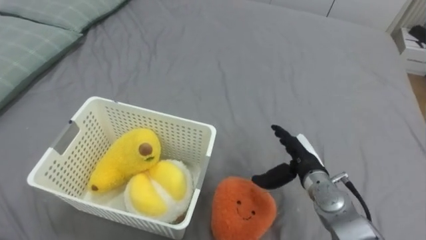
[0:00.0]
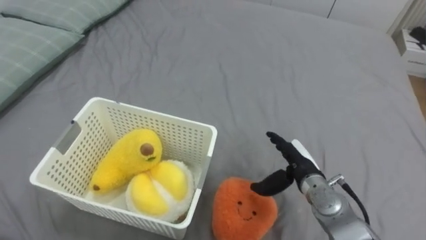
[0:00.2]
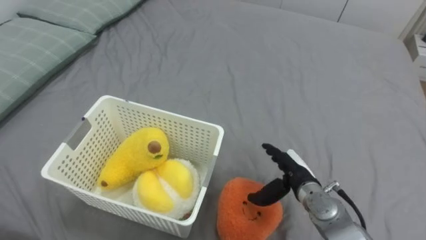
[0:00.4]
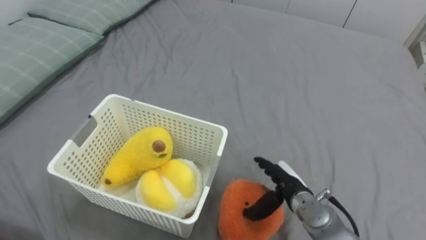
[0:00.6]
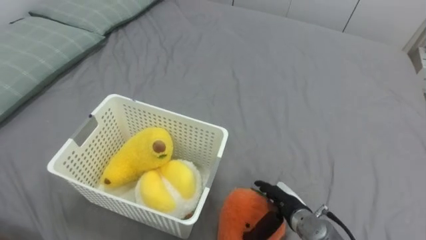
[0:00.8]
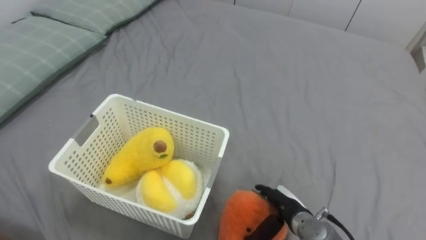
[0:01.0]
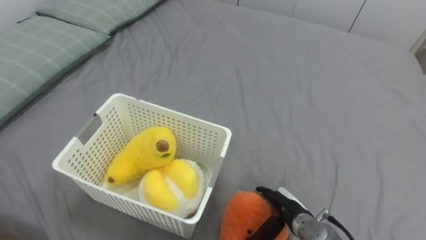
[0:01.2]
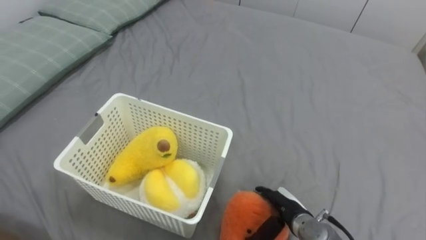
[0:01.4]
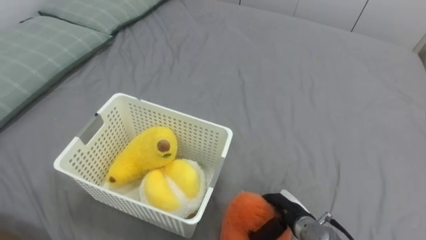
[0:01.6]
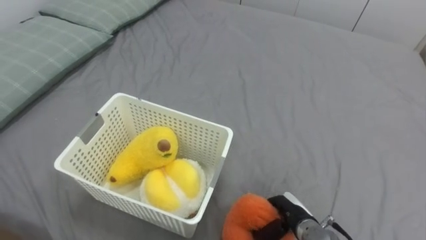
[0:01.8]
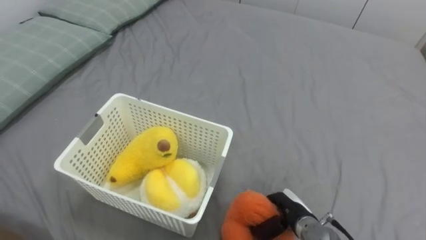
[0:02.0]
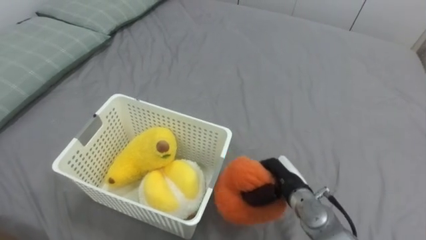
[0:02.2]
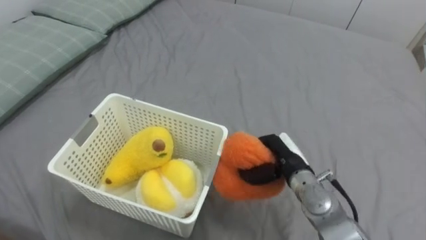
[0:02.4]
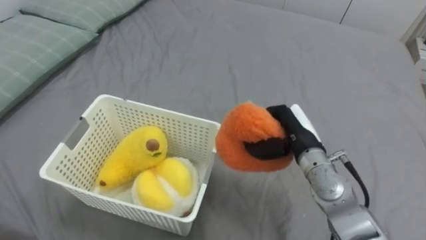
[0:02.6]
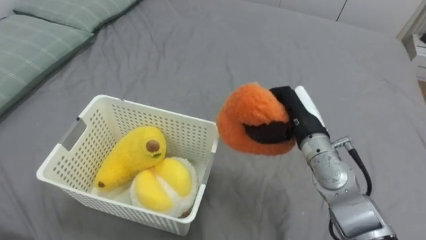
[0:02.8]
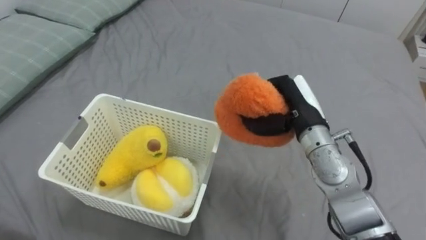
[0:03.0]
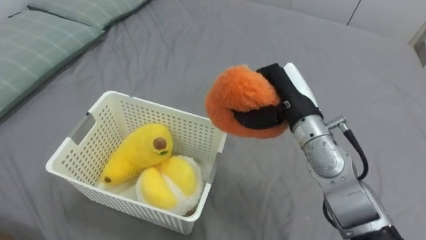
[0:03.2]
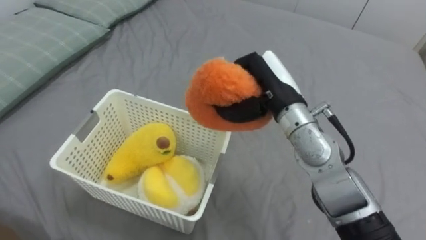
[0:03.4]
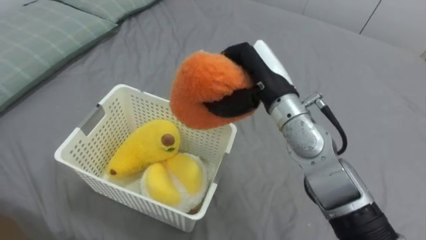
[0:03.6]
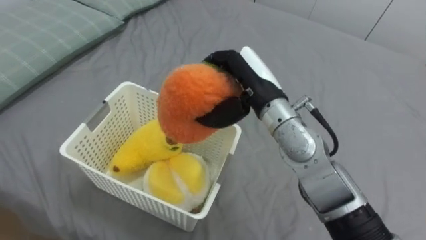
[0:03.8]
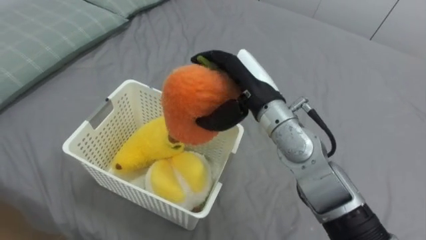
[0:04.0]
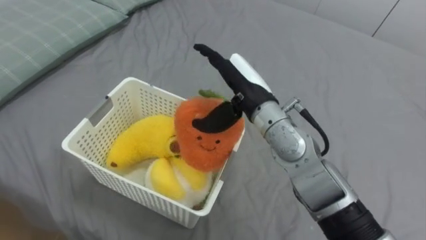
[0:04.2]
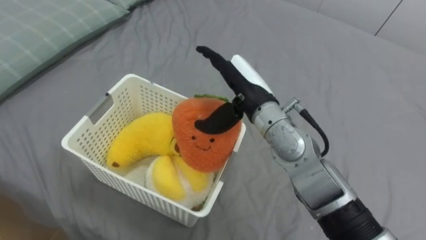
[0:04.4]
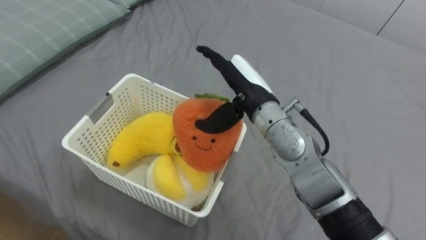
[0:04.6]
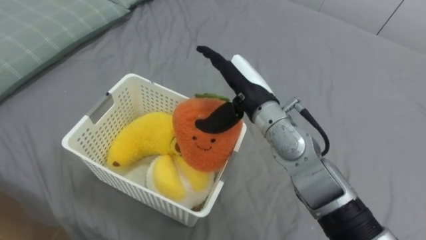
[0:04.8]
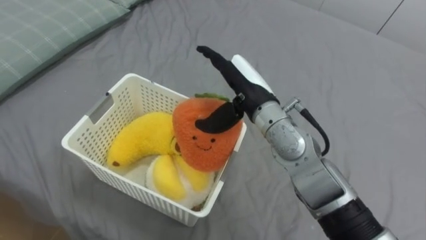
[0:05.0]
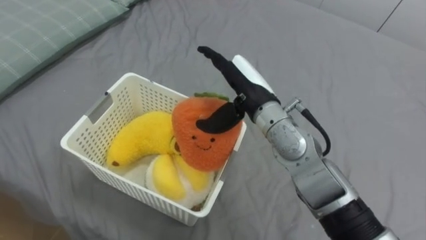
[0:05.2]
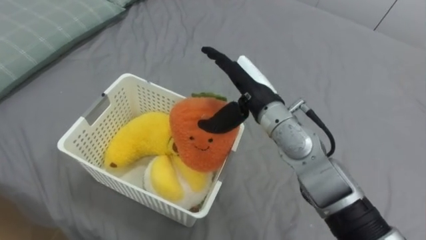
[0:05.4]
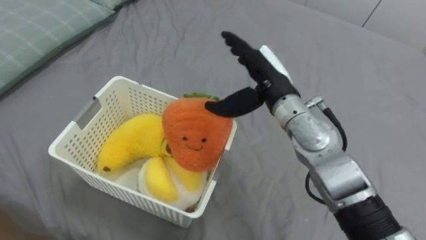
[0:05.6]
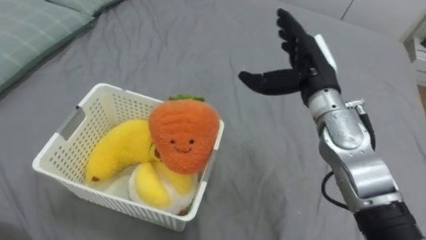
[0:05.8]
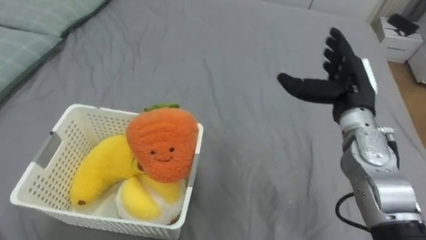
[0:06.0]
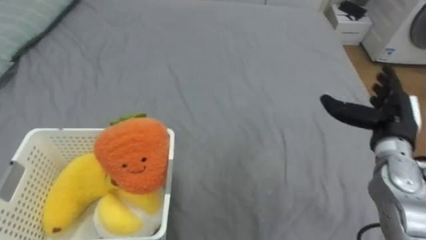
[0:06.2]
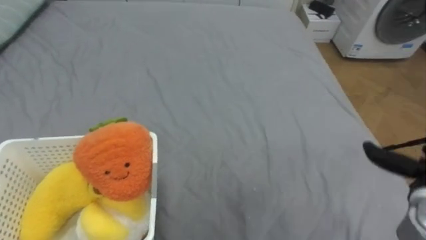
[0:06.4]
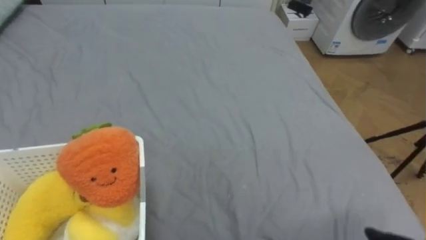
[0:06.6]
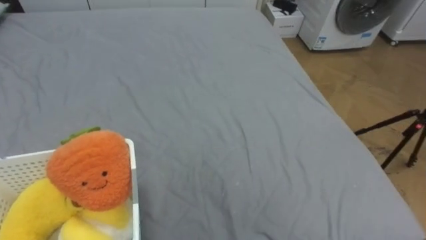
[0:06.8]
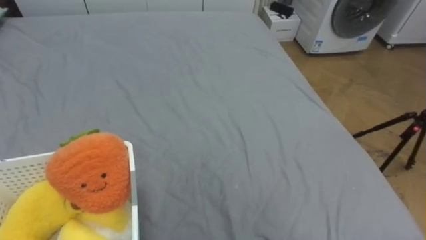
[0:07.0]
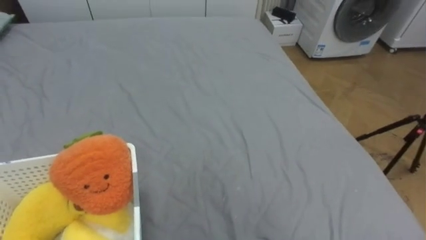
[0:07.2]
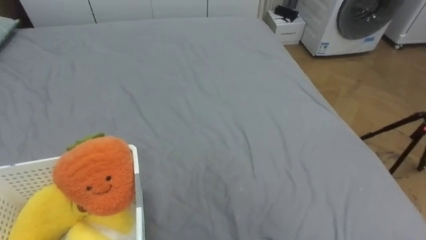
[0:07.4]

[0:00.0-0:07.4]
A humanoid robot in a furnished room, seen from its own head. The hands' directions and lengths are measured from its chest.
Task of the whole recording: Put the toys on the bed into the basket on the left.
0:00.0 to 0:01.4: The right hand goes roughly 10 cm downward and backward.
0:01.4 to 0:03.0: The right hand travels upward and forward by some 25 cm, and closes.
0:03.0 to 0:04.4: The right hand heads to the left, covering about 10 cm, and opens its fingers.
0:04.4 to 0:06.0: The right hand travels to the right by about 15 cm.

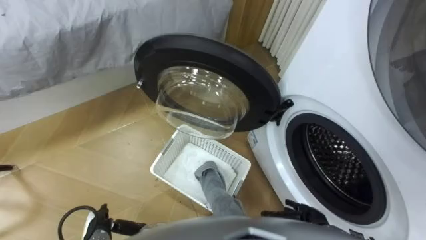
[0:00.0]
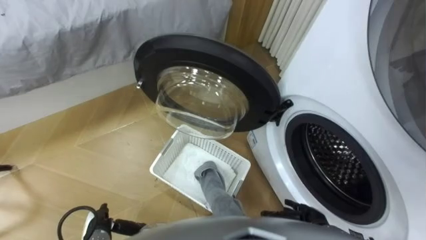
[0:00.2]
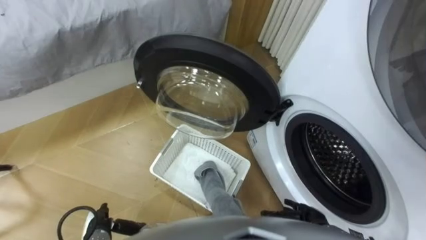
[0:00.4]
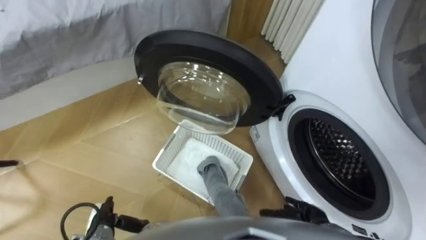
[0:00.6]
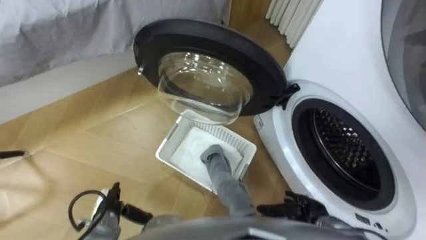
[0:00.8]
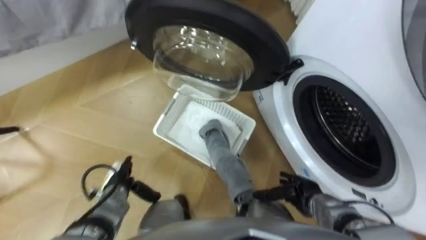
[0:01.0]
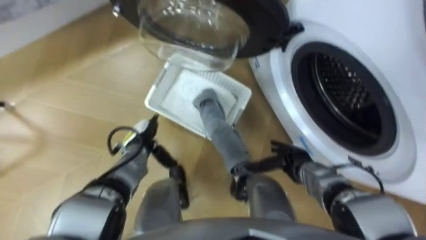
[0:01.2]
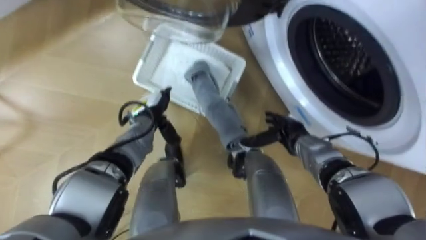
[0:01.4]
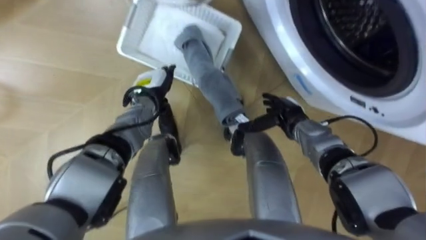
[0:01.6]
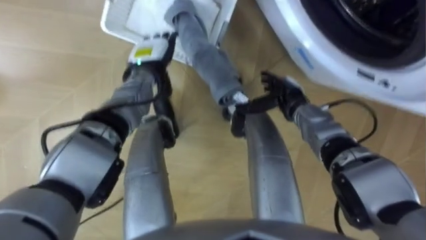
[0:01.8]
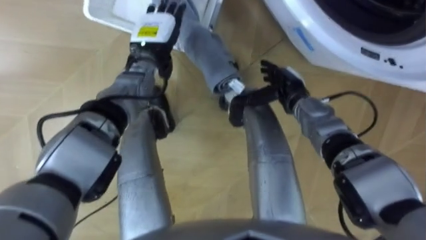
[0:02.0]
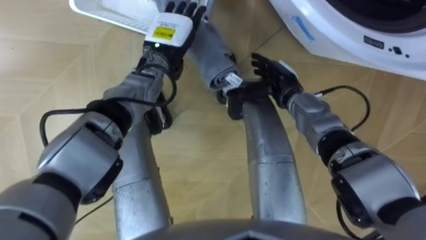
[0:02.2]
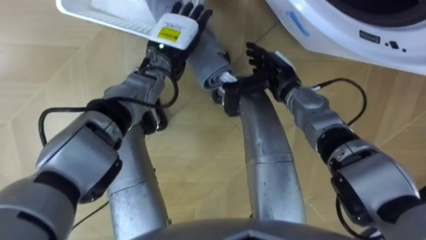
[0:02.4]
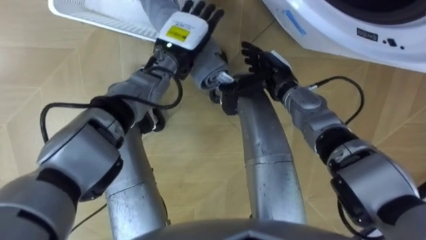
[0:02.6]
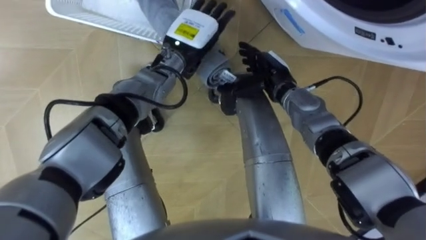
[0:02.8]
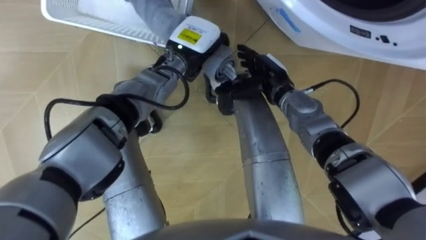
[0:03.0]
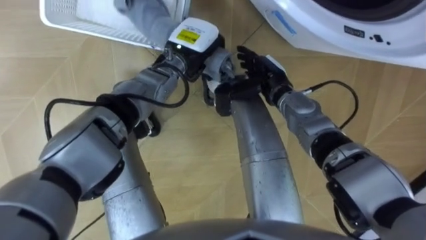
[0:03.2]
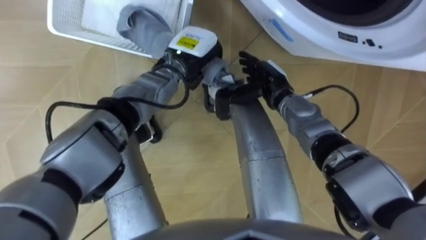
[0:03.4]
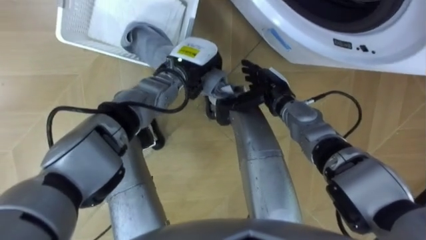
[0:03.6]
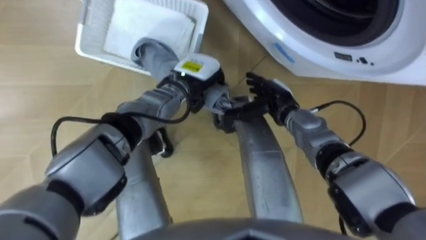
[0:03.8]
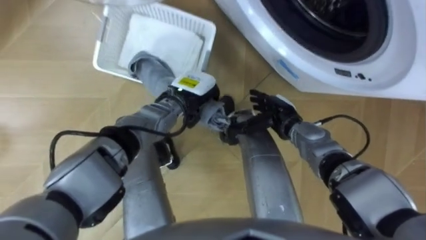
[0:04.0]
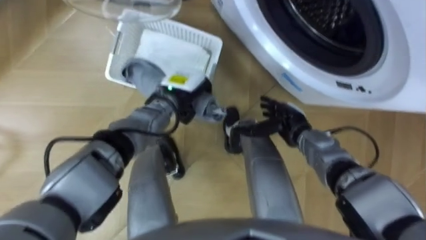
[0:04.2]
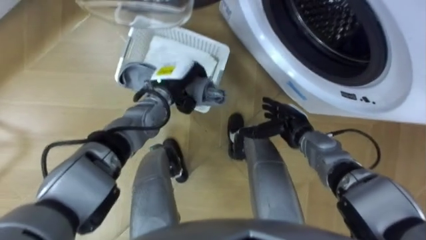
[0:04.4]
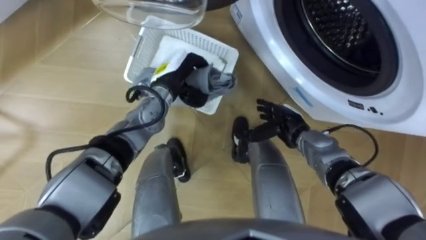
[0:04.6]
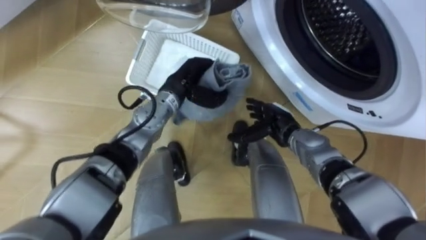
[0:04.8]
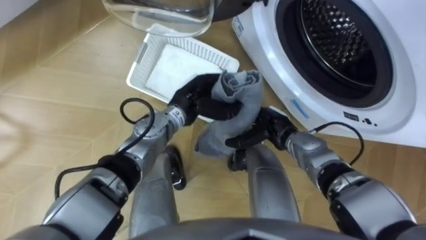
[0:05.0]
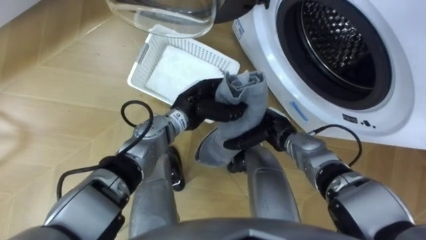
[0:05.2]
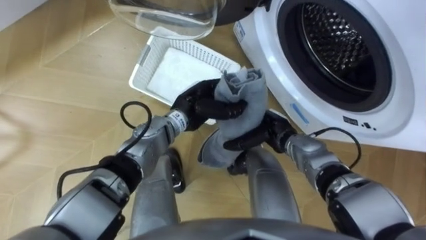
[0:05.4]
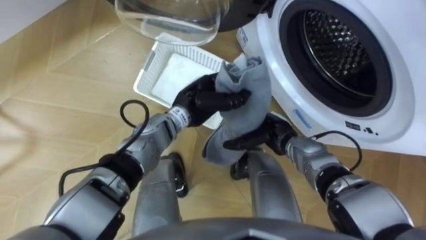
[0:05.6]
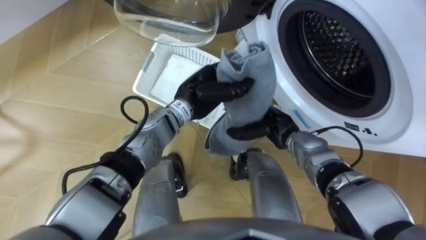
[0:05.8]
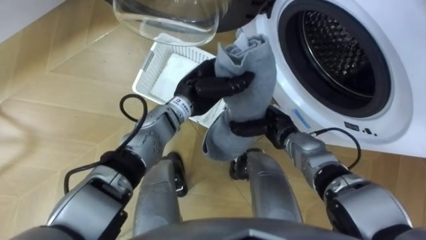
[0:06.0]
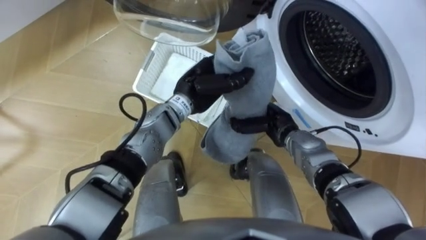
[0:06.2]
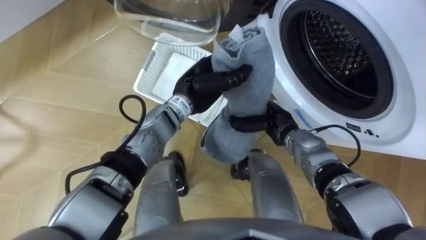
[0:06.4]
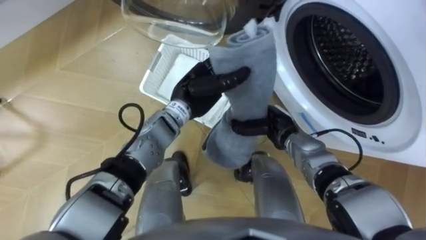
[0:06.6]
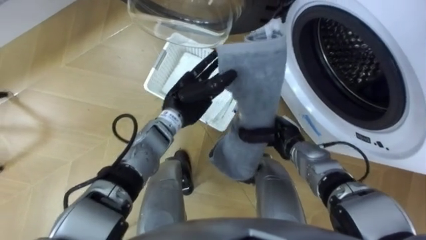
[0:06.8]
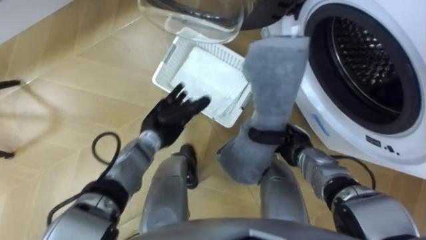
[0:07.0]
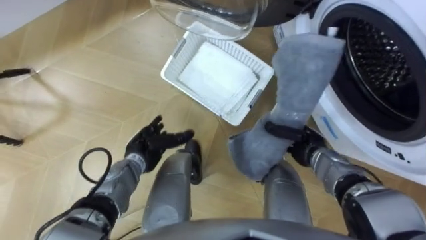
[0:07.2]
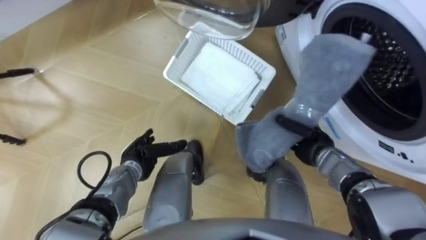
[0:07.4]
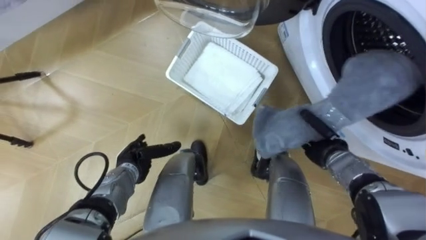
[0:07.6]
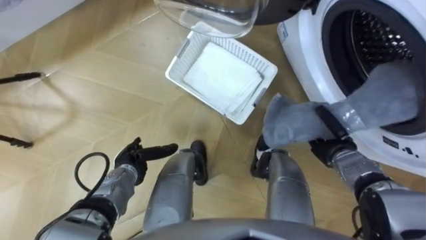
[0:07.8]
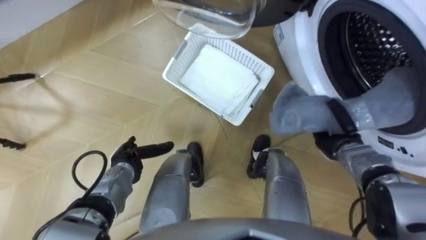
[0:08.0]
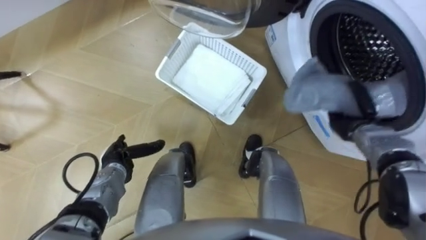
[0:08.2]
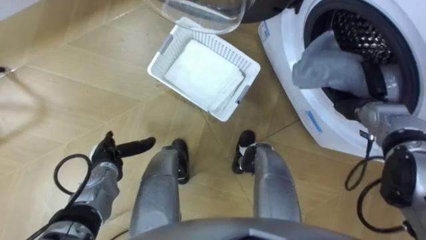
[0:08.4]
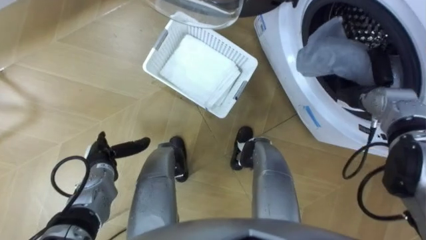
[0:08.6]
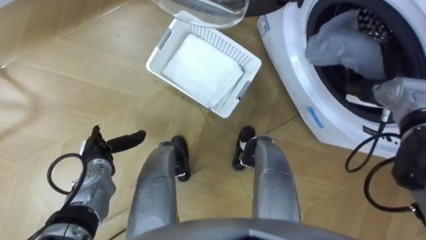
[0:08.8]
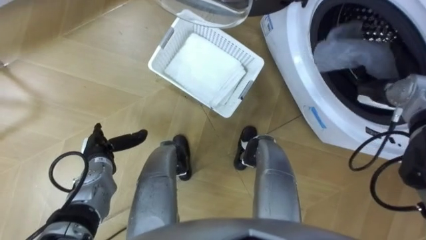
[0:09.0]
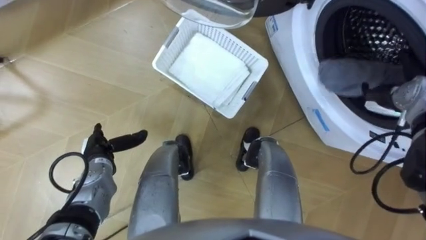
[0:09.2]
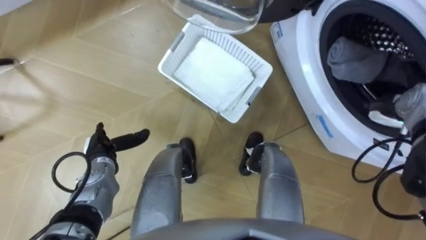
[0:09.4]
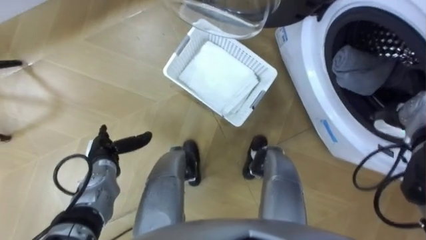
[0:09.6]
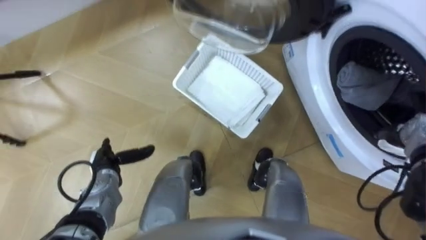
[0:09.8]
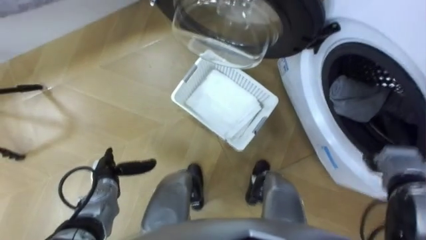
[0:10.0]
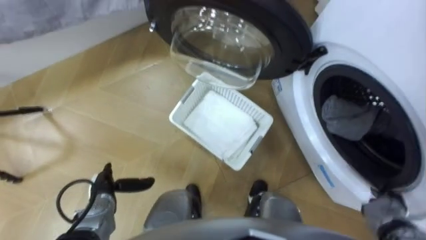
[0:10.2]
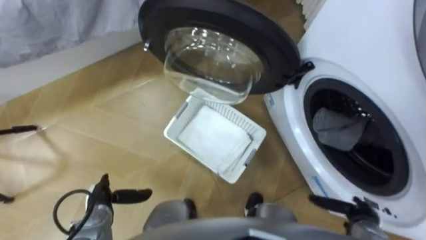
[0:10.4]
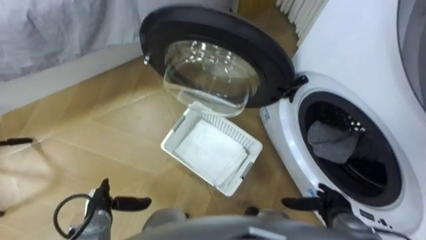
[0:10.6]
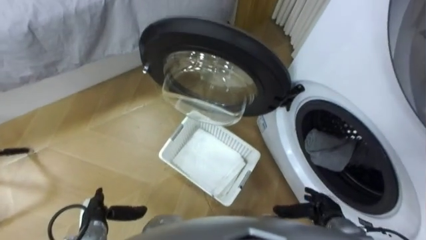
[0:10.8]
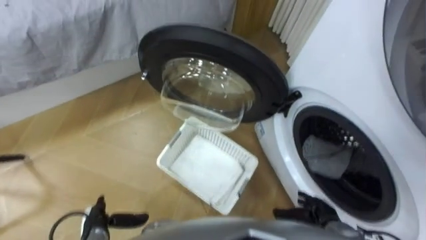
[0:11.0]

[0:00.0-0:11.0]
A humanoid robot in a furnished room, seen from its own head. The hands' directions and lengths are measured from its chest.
Task of the whole recording: Take the towel from the basket and put it into the washing machine.
0:01.6 to 0:03.2: The left hand goes about 15 cm to the right and upward, and closes up; the right hand moves upward, to the left and forward, some 10 cm.
0:03.2 to 0:04.8: The hands both shift downward and backward by roughly 10 cm.
0:04.8 to 0:06.2: The right hand closes.
0:06.2 to 0:07.8: The left hand is displaced to the left, downward and backward by roughly 25 cm, and opens; the right hand is displaced to the right by some 15 cm.
0:07.8 to 0:09.4: The right hand is displaced to the right, upward and forward by some 15 cm, and opens, while the left hand shifts about 5 cm to the left.
0:09.4 to 0:11.0: The right hand is displaced backward, downward and to the left by some 30 cm. Meanwhile the left hand moves backward, about 15 cm.
